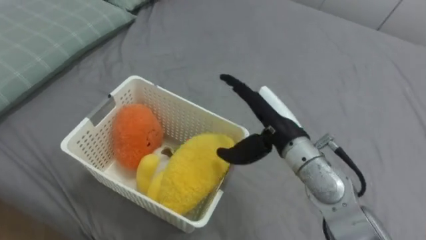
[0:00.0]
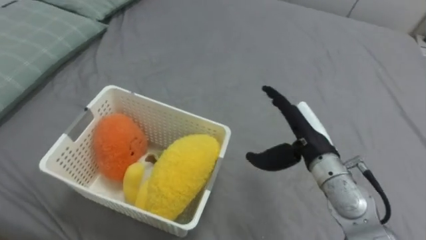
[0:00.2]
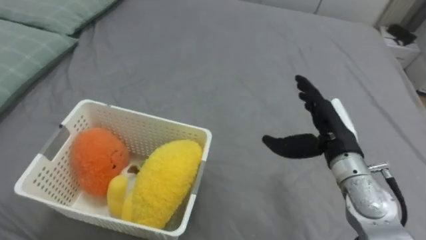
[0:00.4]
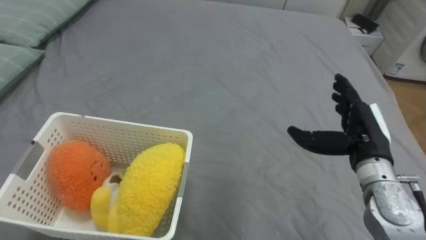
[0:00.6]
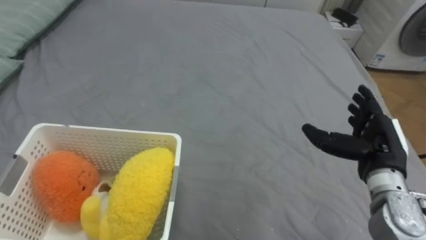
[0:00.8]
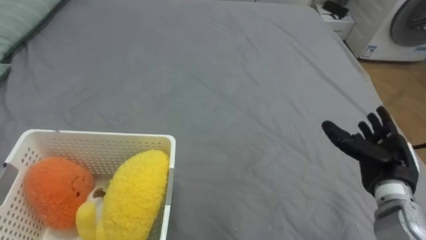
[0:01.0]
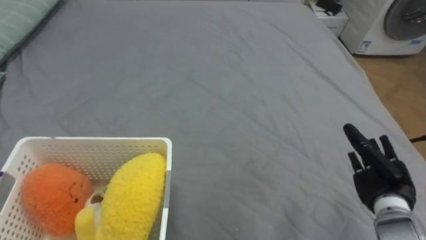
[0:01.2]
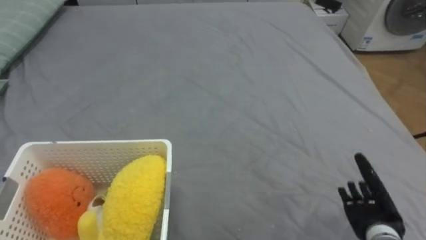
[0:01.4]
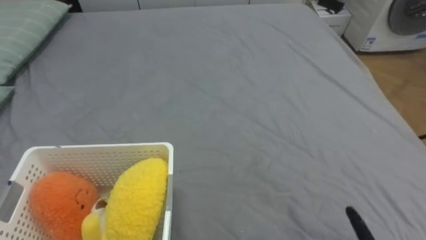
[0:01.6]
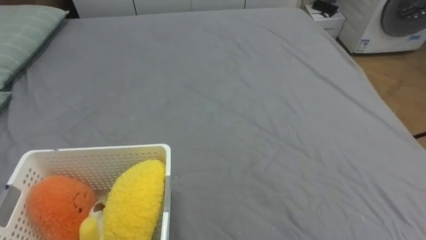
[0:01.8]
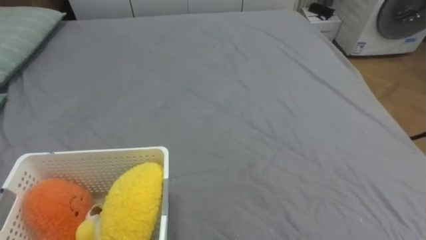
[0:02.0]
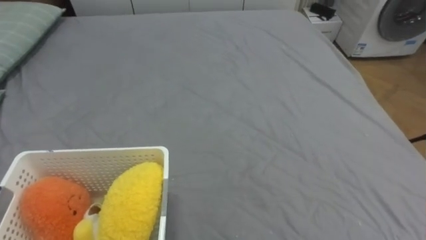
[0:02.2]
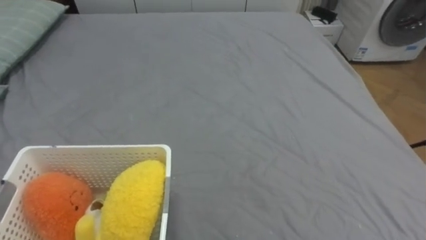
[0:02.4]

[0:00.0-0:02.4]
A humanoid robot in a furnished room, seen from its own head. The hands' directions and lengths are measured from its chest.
Task of the whole recording: Put the toys on the bed into the basket on the left.
0:00.0 to 0:01.2: The right hand shifts about 25 cm to the right and downward.

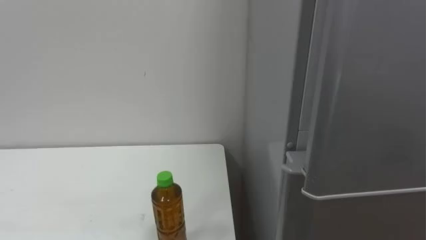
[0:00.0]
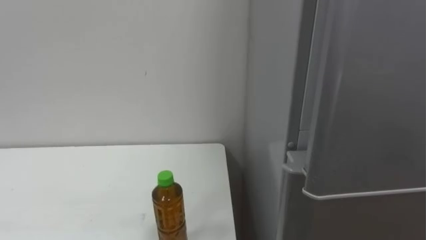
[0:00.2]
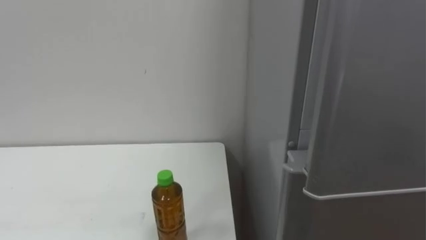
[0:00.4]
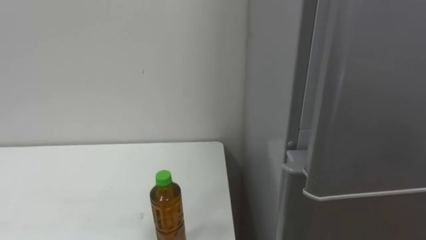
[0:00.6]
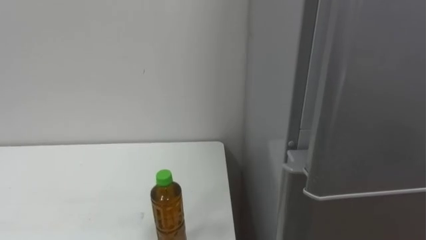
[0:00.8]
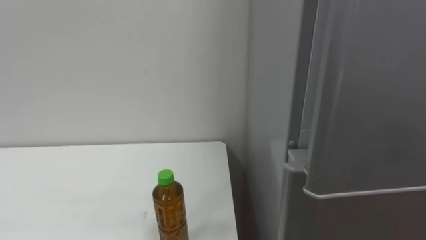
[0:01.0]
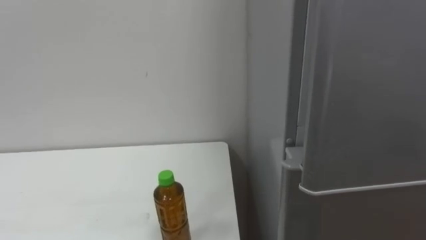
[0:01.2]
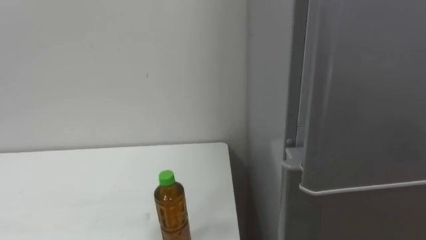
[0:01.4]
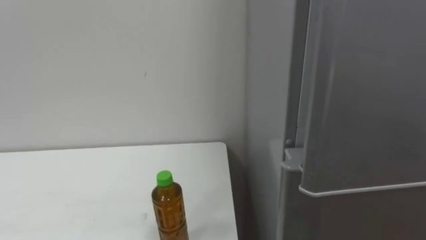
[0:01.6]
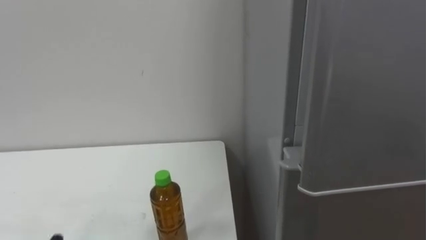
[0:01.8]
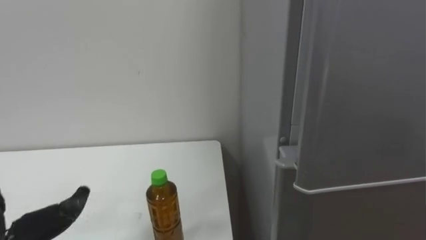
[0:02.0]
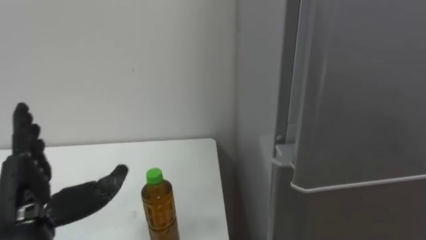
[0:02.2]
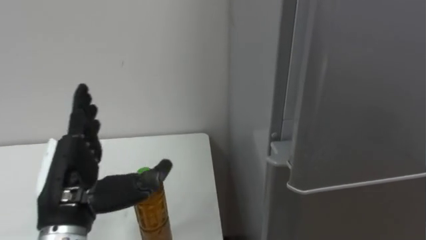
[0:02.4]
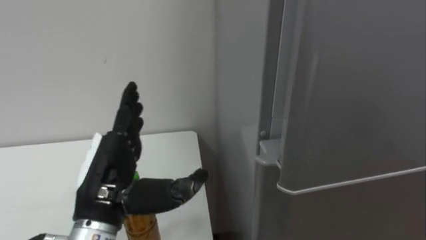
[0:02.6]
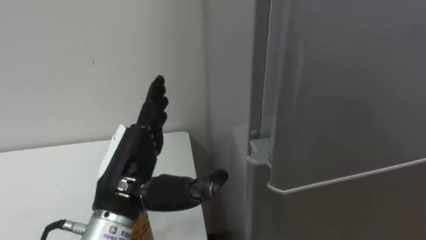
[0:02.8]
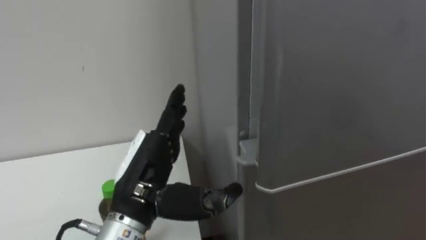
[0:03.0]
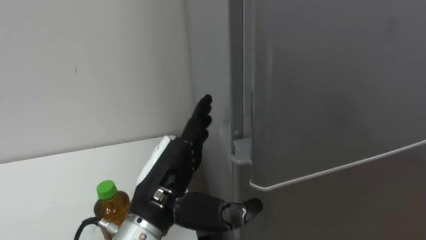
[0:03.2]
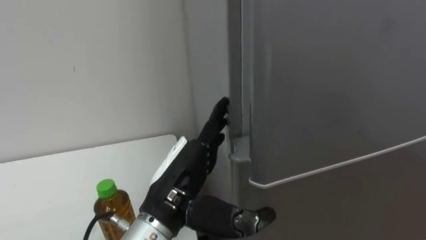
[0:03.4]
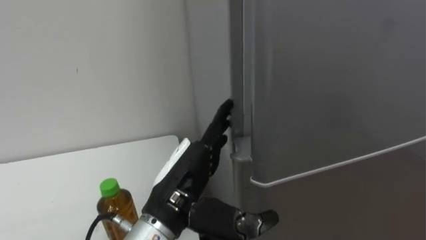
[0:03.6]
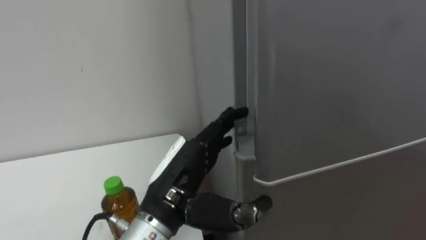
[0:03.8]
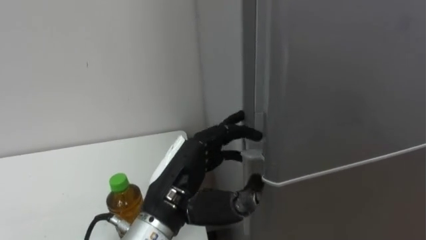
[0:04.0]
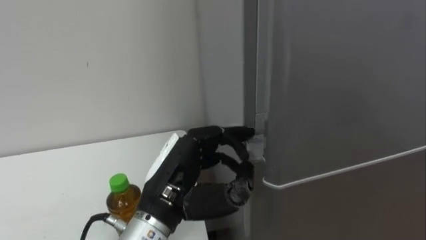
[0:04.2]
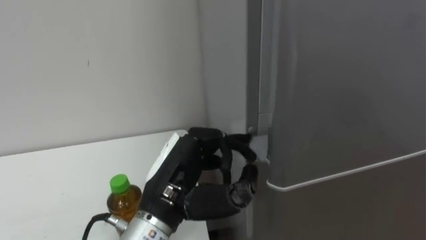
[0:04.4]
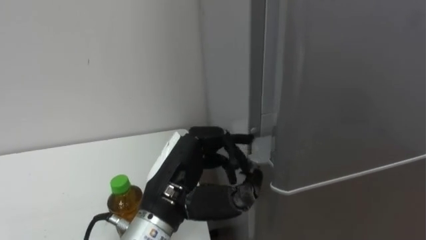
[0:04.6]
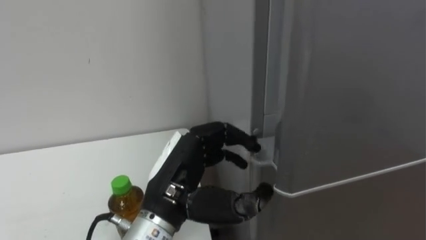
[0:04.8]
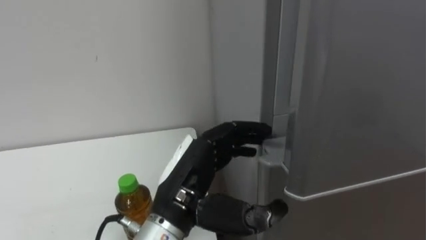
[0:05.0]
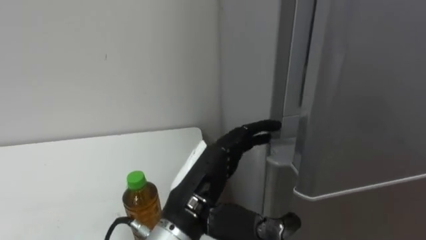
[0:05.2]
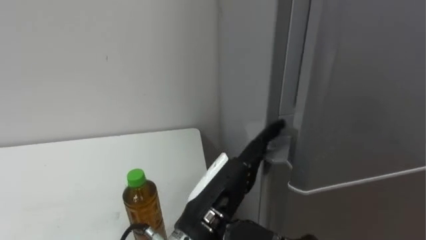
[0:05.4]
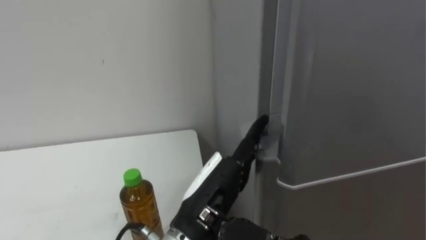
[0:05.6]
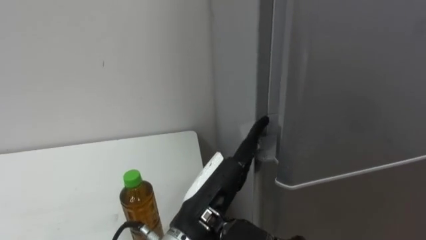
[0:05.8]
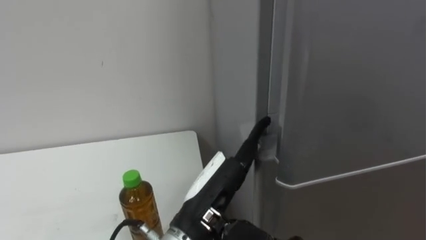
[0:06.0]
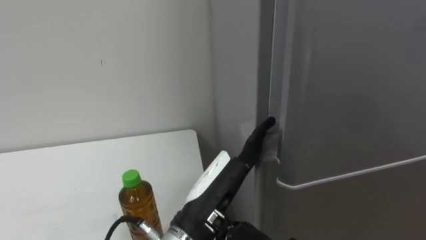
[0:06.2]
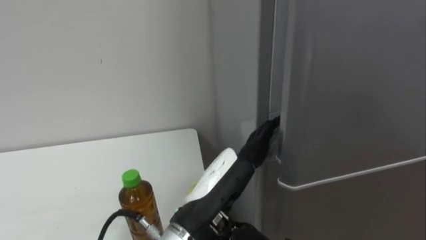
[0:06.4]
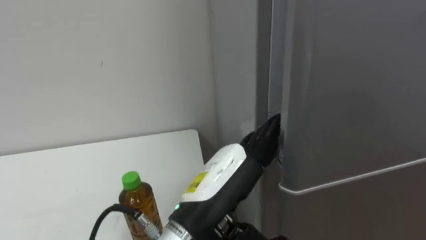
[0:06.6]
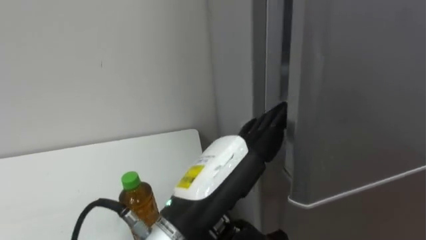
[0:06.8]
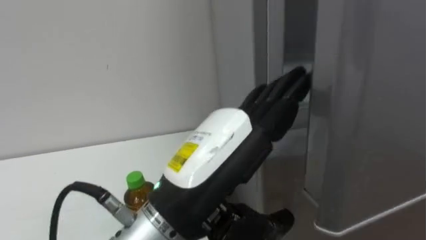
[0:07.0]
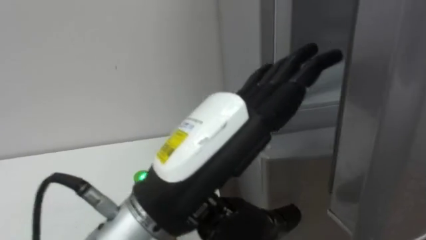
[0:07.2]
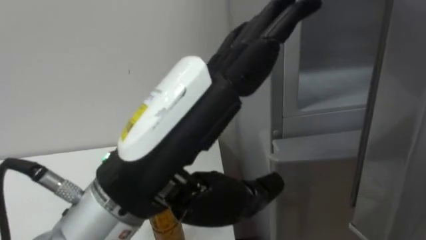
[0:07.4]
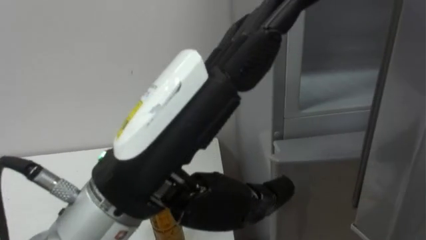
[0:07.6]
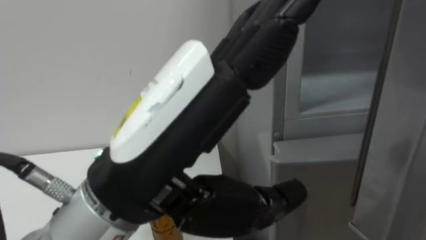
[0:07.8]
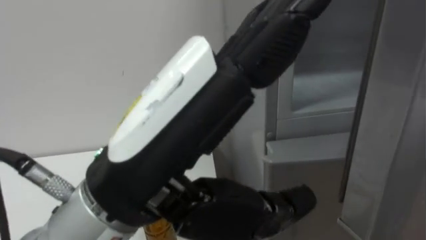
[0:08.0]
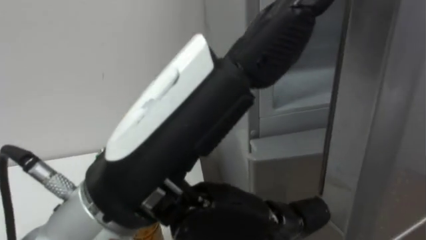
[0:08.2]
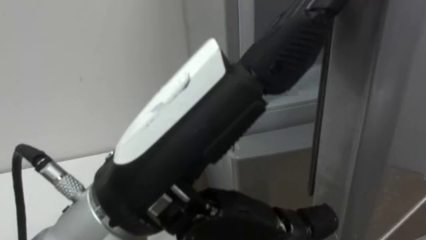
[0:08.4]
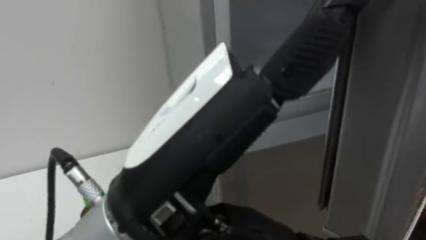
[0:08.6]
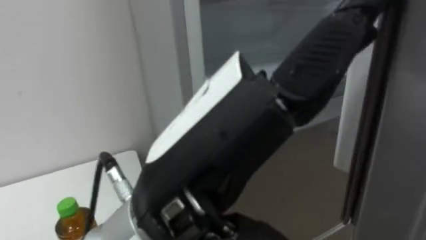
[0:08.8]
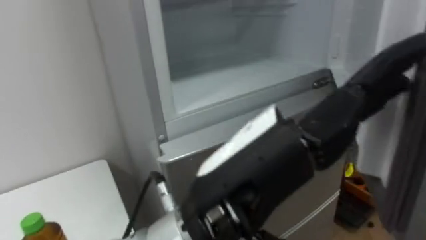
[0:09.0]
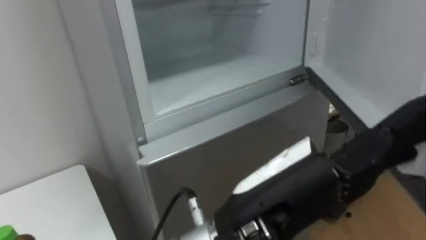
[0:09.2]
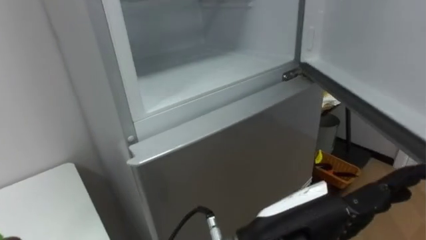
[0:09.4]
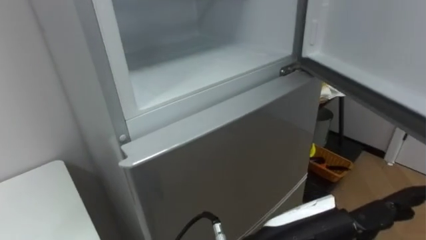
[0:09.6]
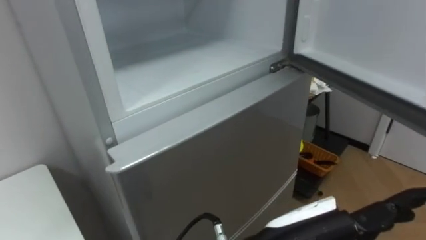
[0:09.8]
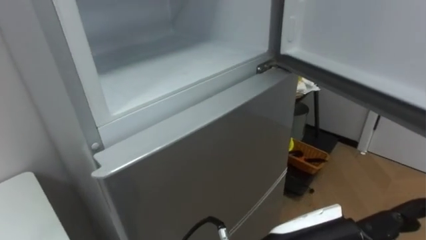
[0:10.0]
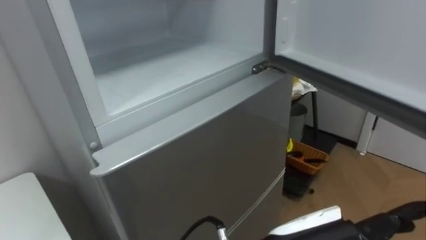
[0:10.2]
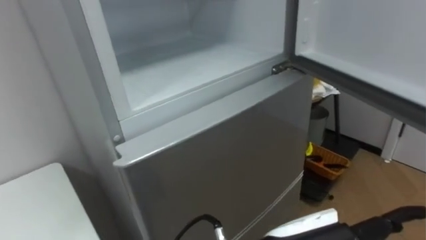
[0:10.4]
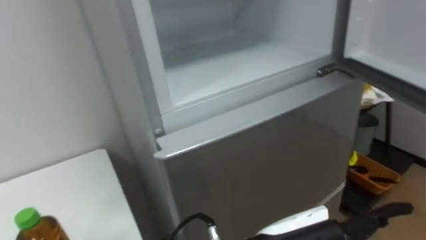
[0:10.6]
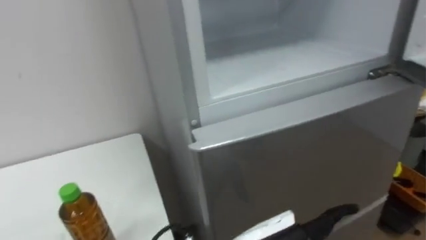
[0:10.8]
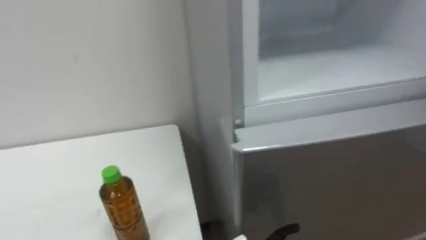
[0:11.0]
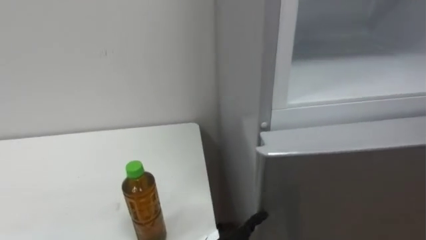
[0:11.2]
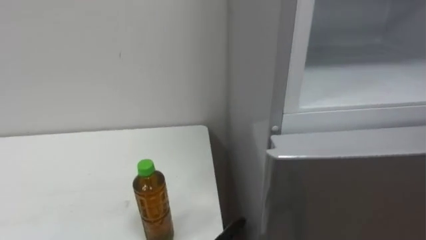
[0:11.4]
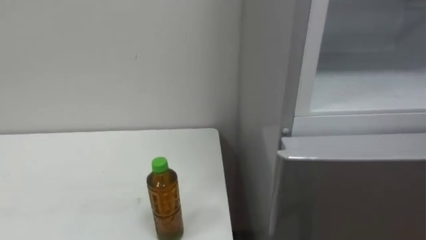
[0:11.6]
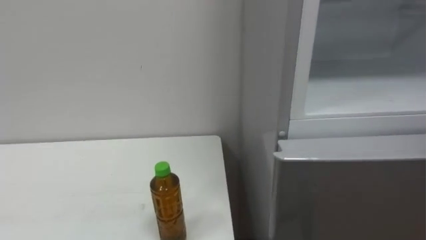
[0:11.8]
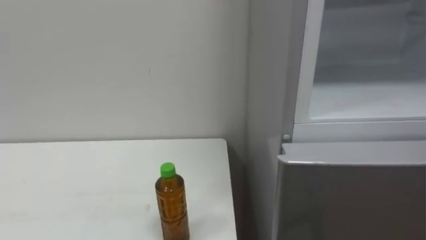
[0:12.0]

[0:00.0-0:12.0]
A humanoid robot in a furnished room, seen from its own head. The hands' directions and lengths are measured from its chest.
Task of the whole recording: Open the upper refrigerator door, put the drink from the table into the refrigerator, and then close the refrigerator door.
0:03.0 to 0:04.4: The left hand closes up.
0:04.4 to 0:06.0: The left hand ends up approximately 5 cm from where it was, and opens.
0:06.0 to 0:07.6: The left hand goes some 15 cm upward and backward.
0:07.6 to 0:09.0: The left hand shifts about 5 cm to the right.
0:09.0 to 0:10.4: The left hand shifts approximately 15 cm downward and to the right.

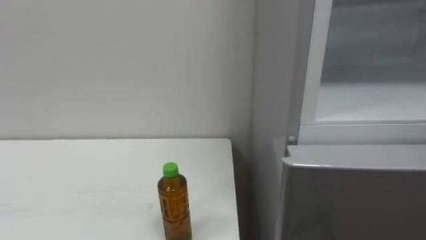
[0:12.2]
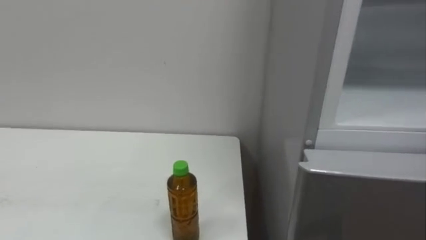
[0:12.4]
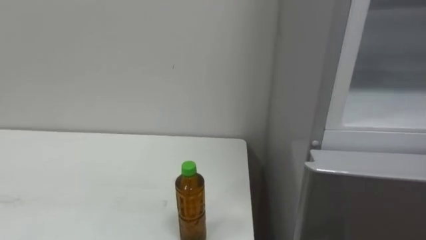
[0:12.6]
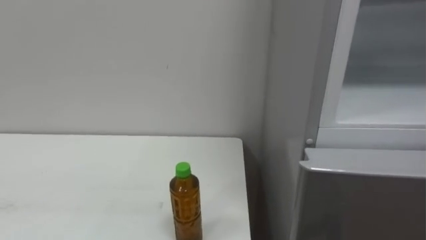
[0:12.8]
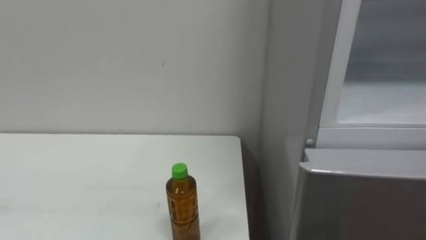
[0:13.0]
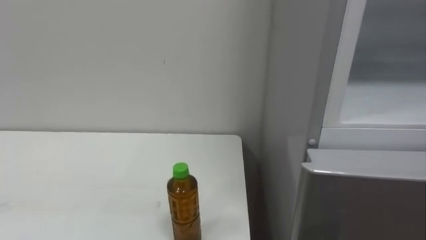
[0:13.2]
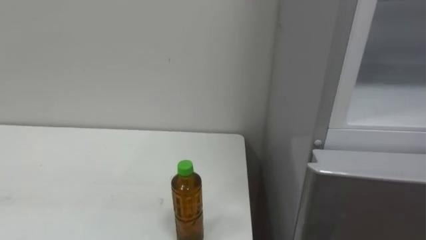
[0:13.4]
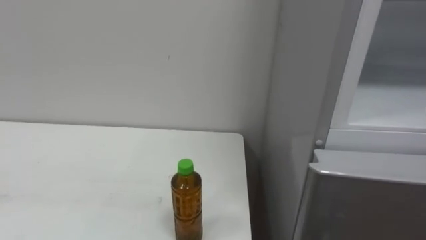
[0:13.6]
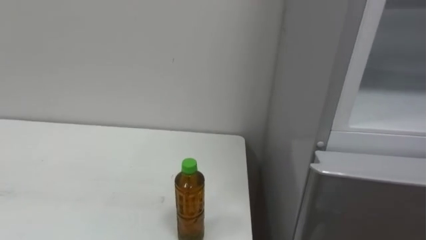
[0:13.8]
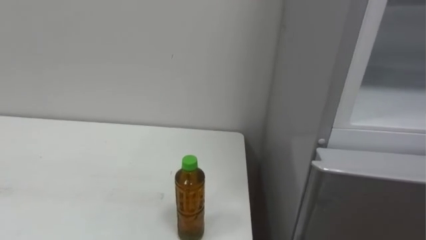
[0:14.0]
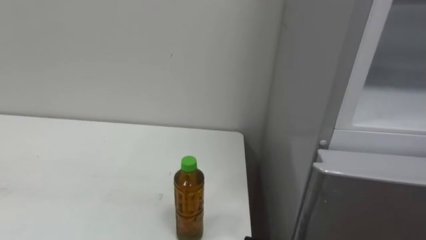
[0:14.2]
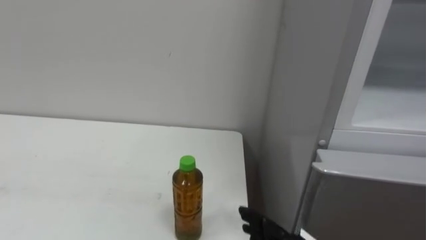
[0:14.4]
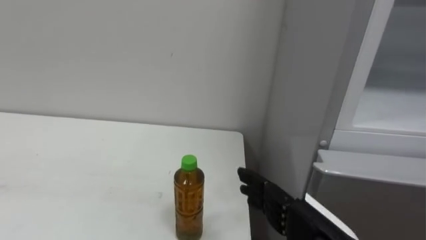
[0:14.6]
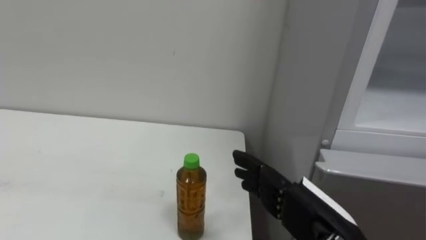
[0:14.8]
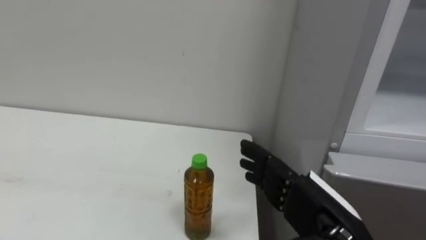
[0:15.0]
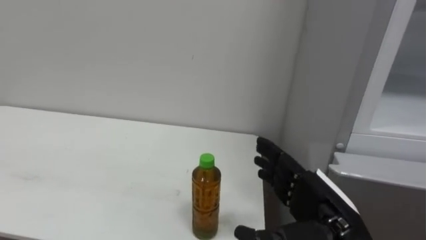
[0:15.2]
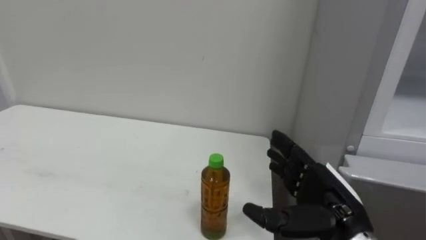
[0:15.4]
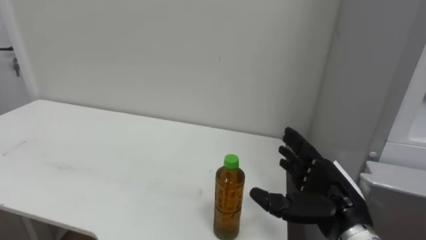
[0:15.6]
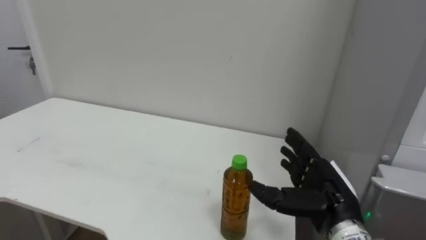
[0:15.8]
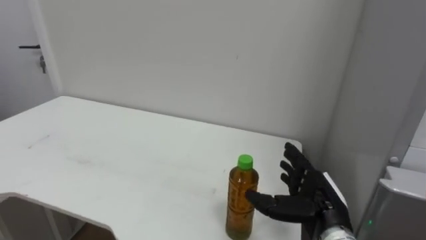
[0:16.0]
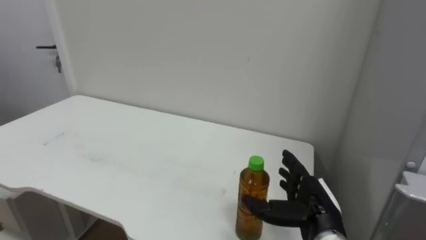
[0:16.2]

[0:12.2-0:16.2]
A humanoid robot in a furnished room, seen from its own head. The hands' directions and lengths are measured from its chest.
Task of the whole recording: Open the upper refrigerator door, put the drink from the table into the refrigerator, and then close the refrigerator door.
0:14.8 to 0:16.2: The right hand goes approximately 10 cm forward and downward.
